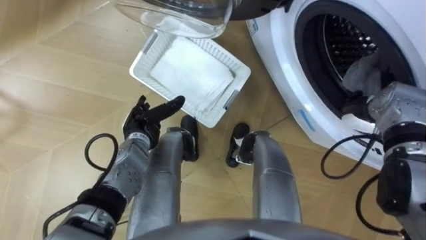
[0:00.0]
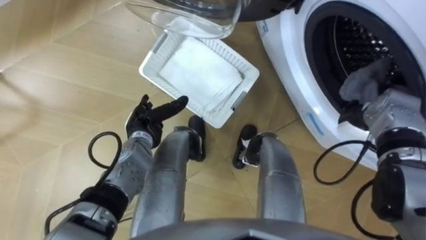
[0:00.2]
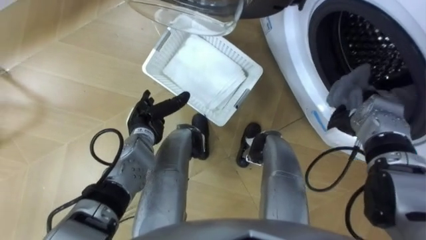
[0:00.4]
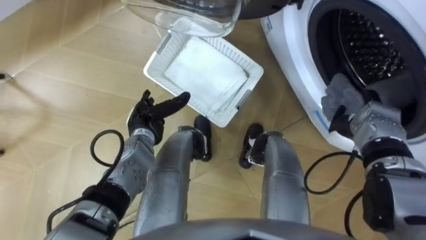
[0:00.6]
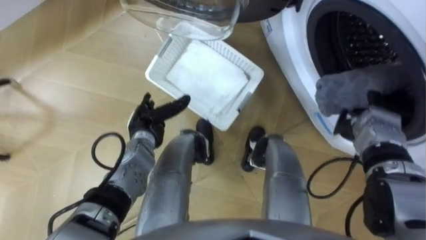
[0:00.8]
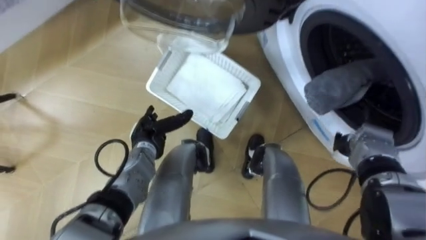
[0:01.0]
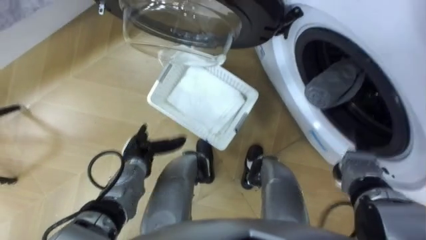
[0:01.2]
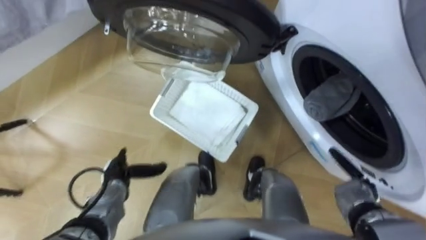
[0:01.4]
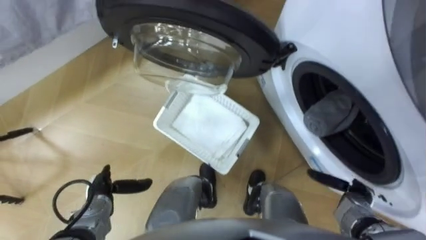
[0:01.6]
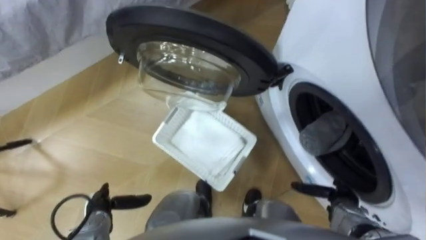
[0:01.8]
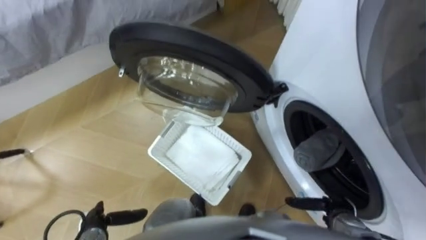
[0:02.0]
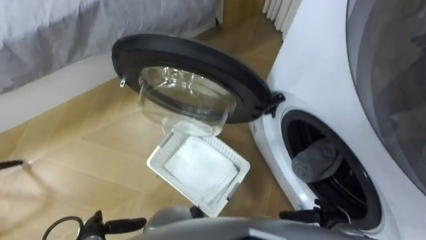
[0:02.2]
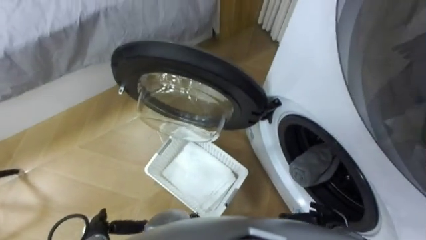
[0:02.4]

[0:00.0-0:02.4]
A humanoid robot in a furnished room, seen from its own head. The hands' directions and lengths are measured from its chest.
Task of the whole recording: Take the towel from the basket and put it into the washing machine.
0:00.0 to 0:01.2: The right hand is displaced backward and downward by about 15 cm, and opens up; the left hand changes place by some 5 cm.
0:01.2 to 0:02.4: The right hand heads backward, downward and to the left, covering approximately 15 cm, while the left hand goes approximately 20 cm backward and to the left.

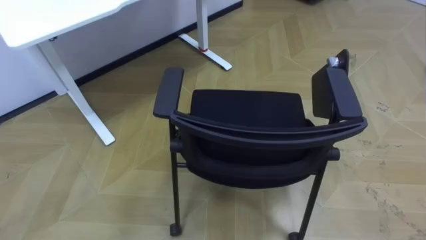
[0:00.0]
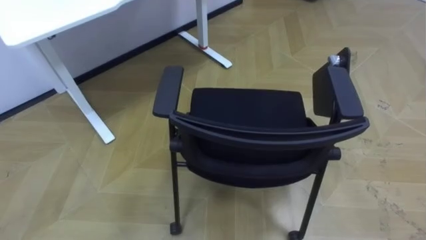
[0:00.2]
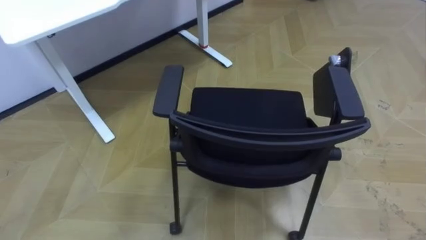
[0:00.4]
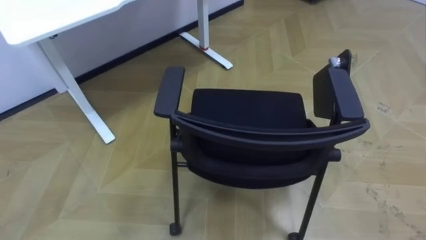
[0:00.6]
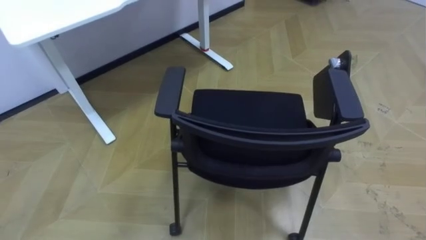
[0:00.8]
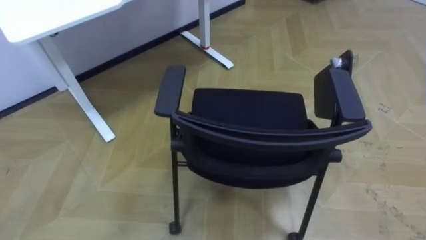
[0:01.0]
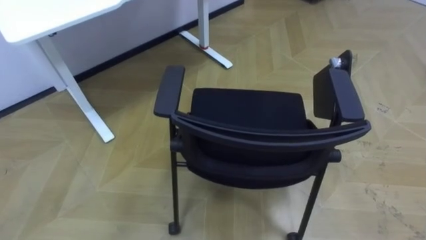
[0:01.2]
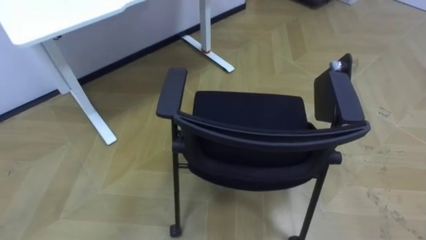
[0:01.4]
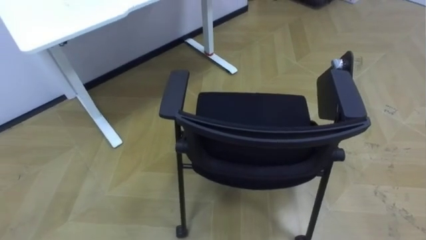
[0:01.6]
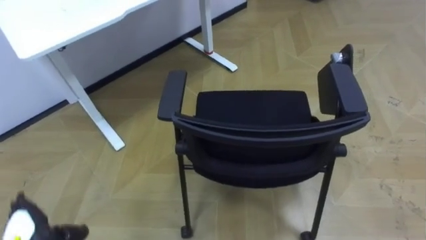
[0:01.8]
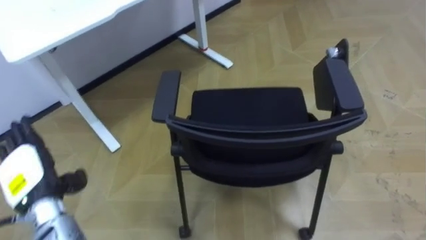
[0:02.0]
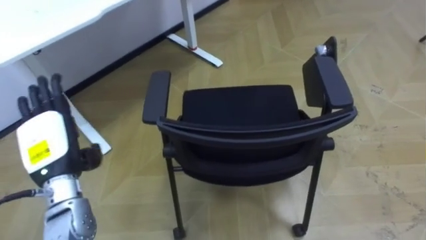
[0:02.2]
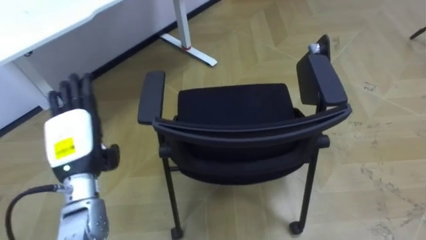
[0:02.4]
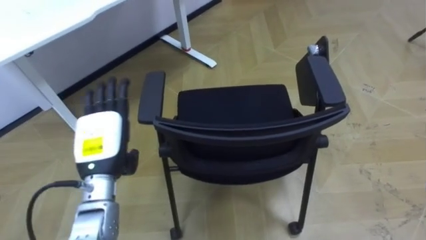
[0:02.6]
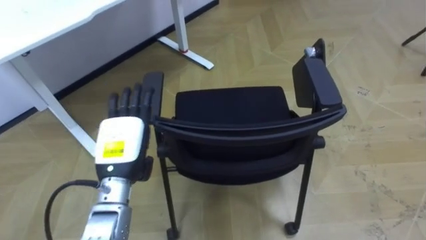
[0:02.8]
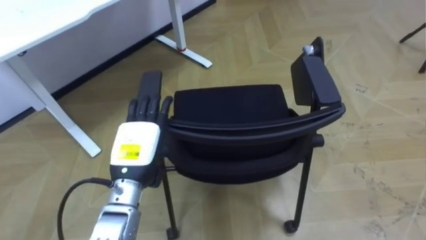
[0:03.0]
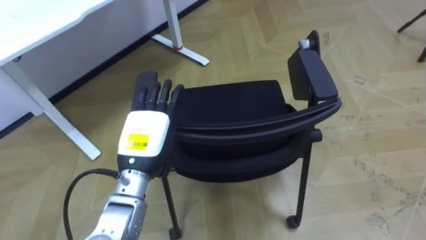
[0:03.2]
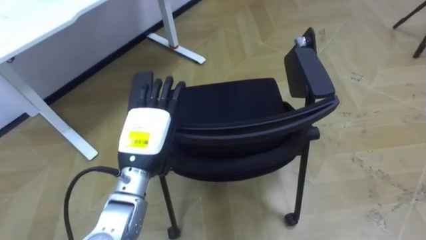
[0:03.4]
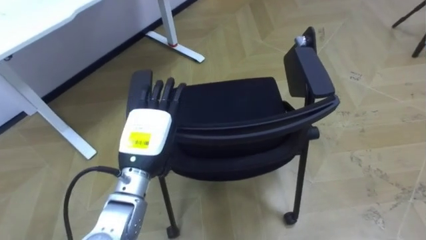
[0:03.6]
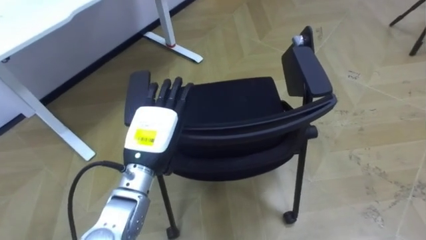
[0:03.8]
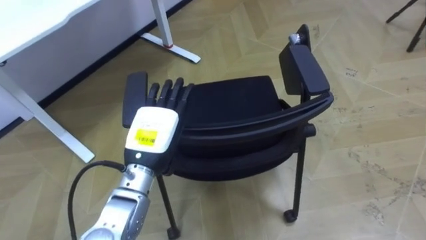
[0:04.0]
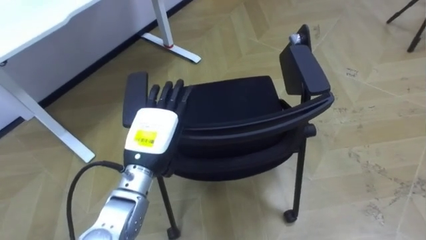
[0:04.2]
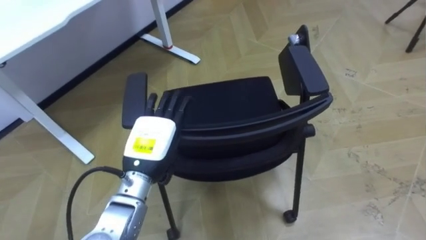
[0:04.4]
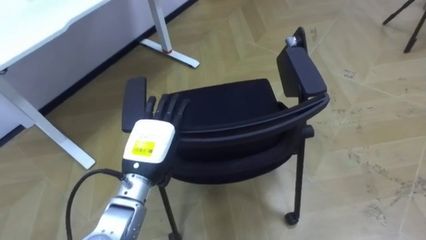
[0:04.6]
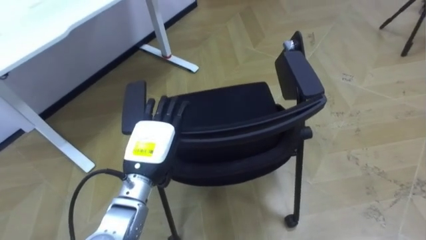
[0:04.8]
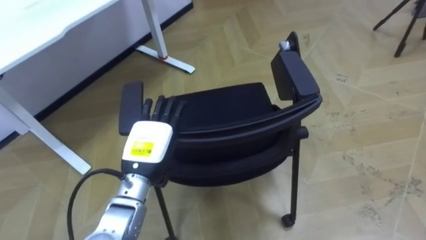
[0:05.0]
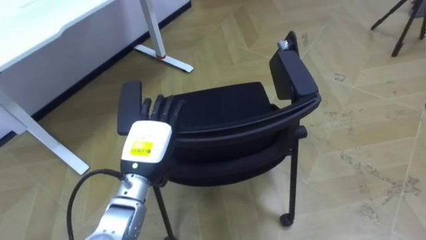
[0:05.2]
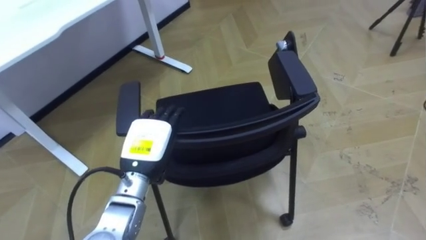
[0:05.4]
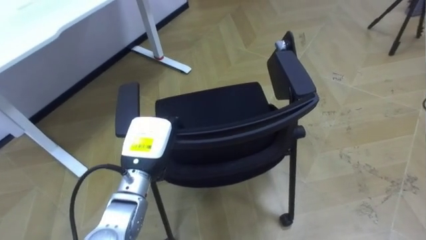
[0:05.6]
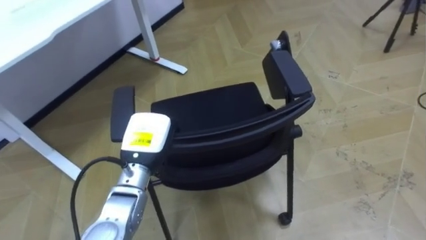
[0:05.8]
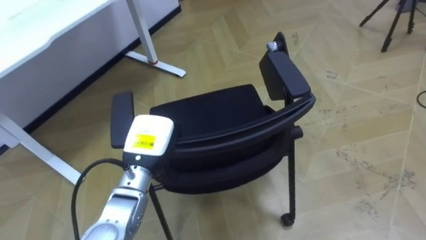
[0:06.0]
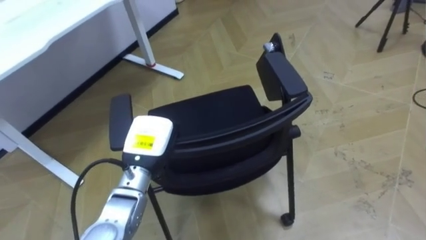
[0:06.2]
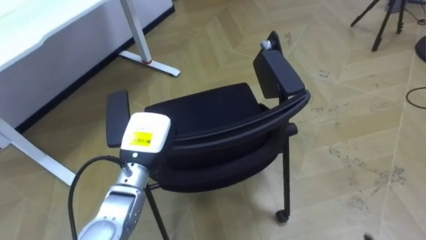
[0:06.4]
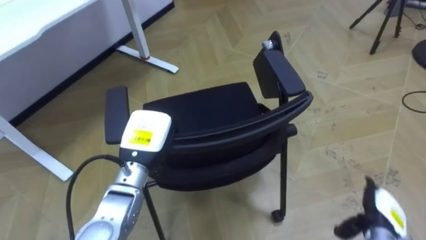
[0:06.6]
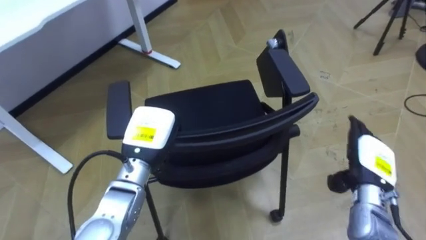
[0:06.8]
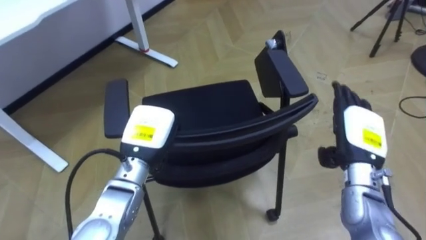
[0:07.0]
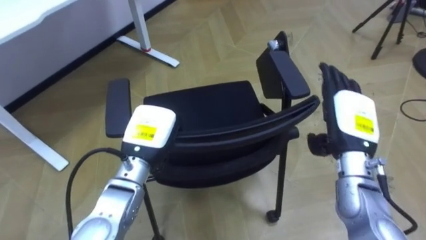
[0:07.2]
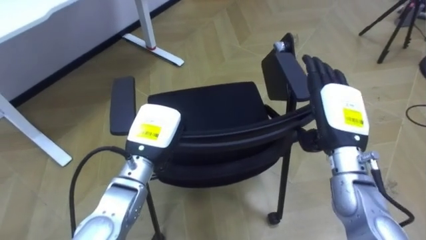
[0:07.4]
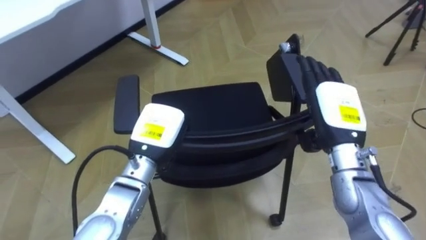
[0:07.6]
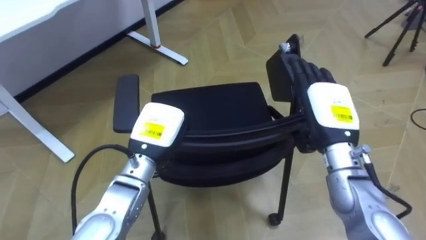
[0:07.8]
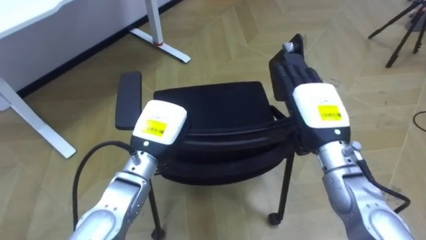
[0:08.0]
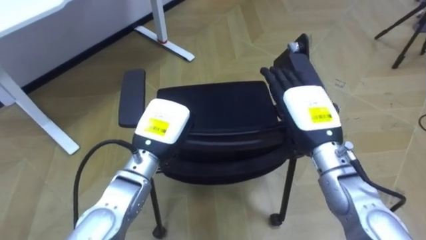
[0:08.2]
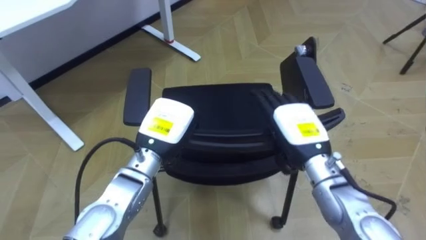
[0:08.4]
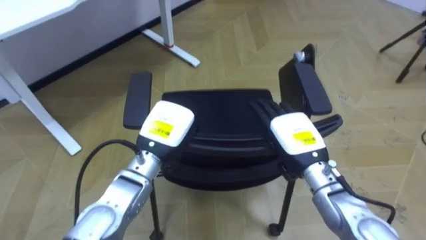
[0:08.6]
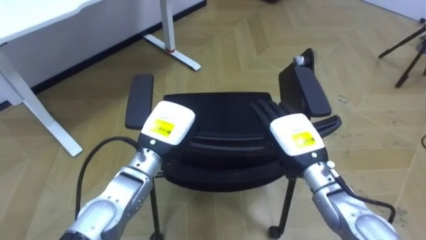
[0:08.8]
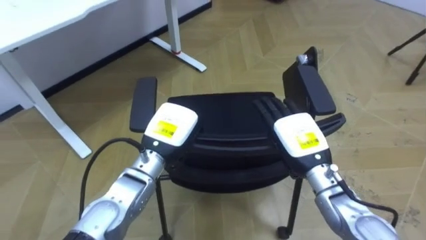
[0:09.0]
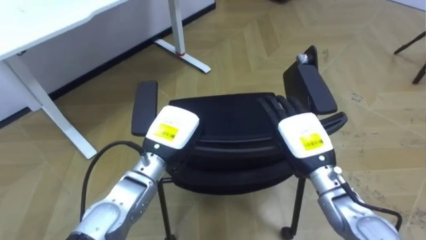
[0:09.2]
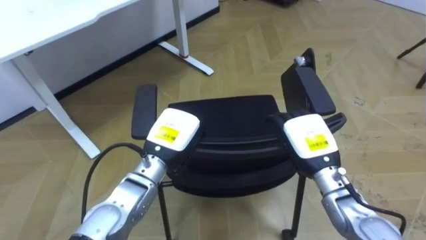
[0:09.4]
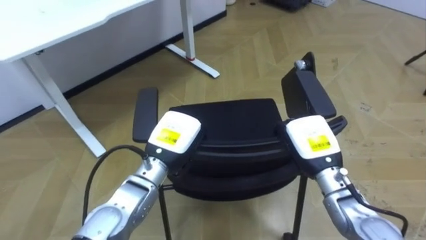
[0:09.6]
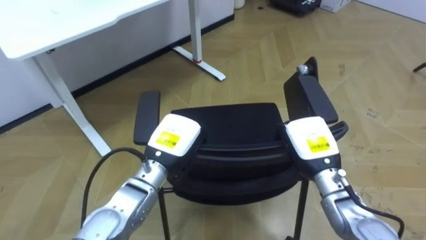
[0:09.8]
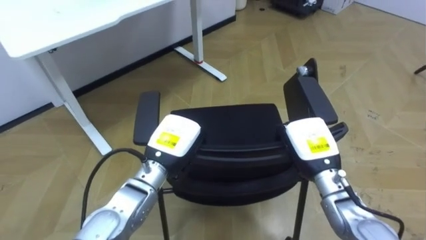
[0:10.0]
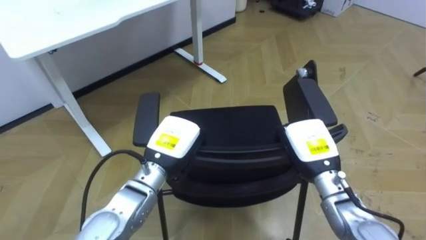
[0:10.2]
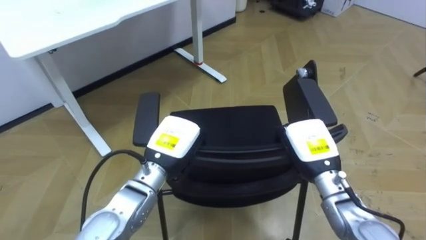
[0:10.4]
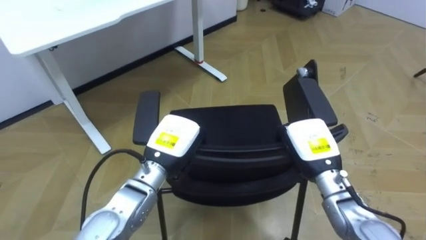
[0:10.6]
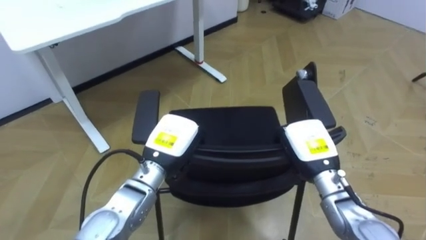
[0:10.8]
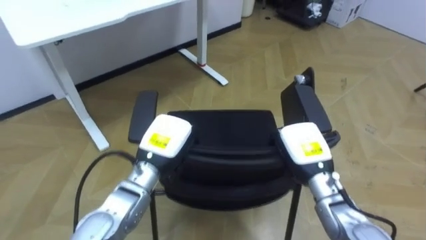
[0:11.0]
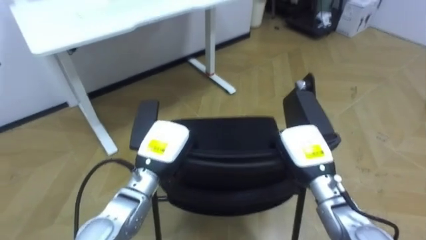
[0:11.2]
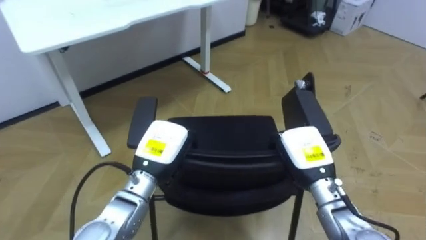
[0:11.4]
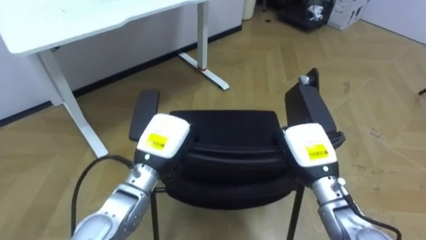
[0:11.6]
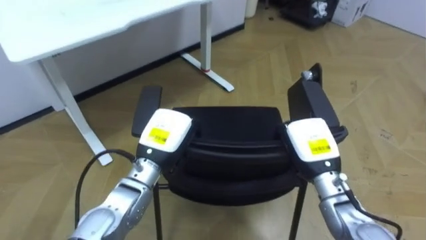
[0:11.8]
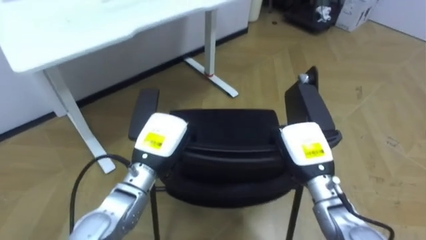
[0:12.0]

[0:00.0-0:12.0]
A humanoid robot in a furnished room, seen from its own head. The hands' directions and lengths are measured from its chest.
Task of the whole recording: Push the chair under the table.
0:04.4 to 0:06.0: The left hand closes its fingers.
0:07.6 to 0:09.0: The right hand goes approximately 10 cm downward.
0:09.0 to 0:10.4: The right hand closes.

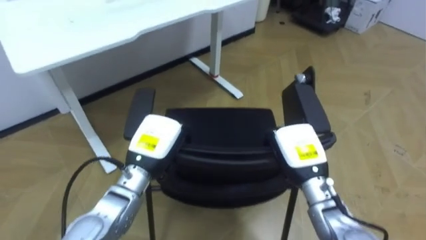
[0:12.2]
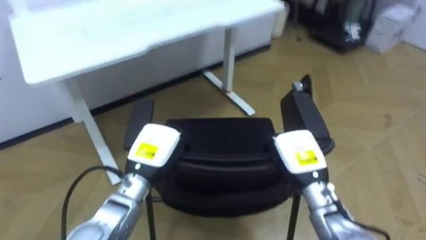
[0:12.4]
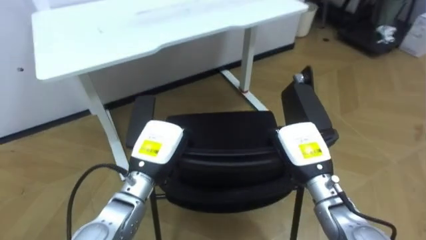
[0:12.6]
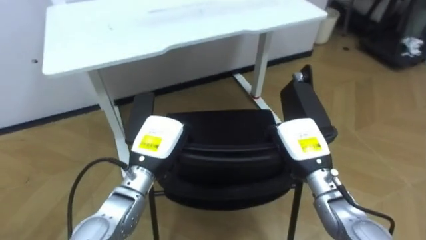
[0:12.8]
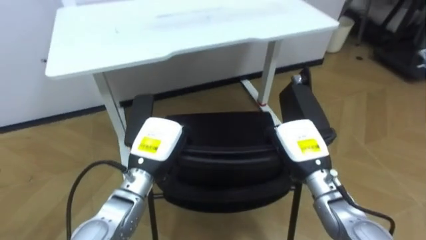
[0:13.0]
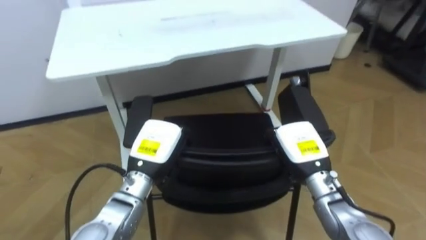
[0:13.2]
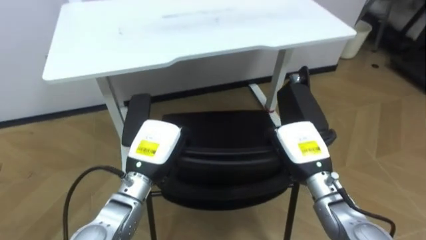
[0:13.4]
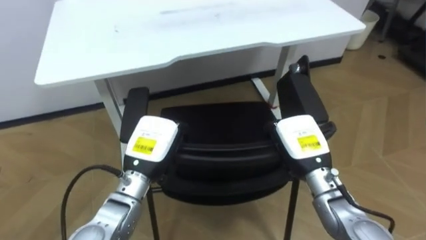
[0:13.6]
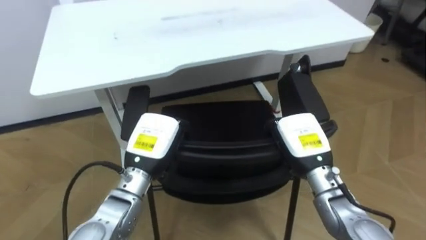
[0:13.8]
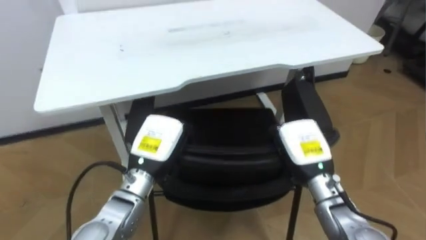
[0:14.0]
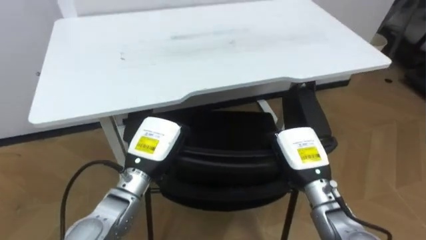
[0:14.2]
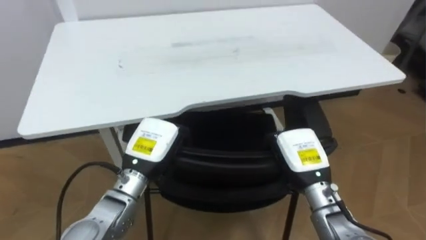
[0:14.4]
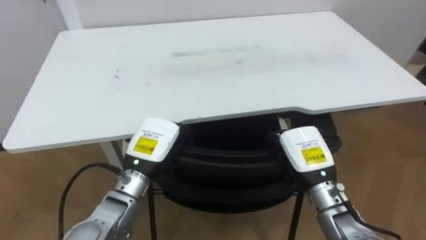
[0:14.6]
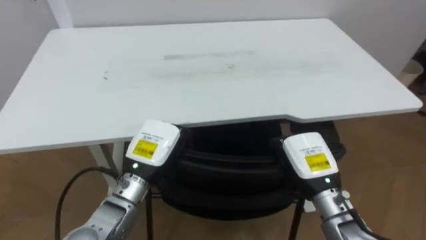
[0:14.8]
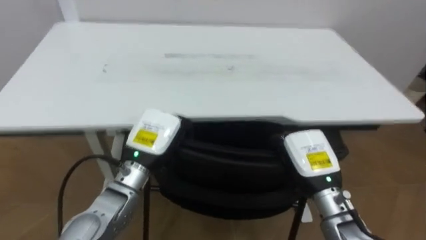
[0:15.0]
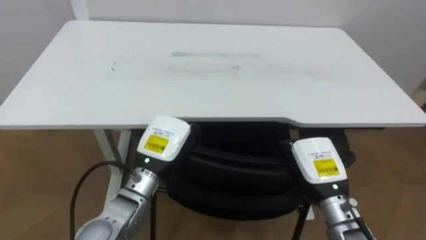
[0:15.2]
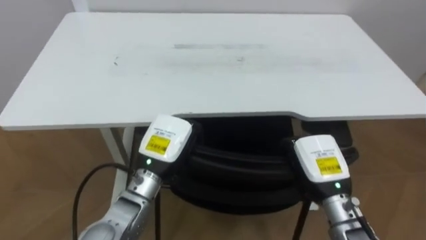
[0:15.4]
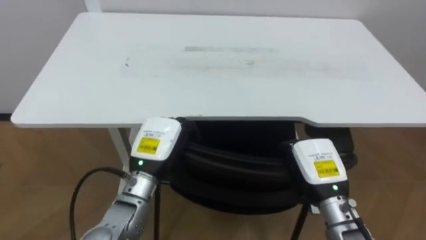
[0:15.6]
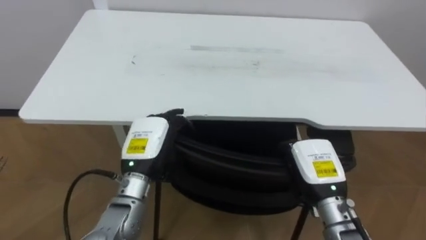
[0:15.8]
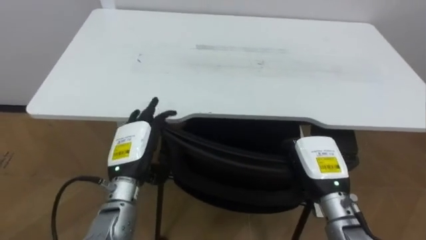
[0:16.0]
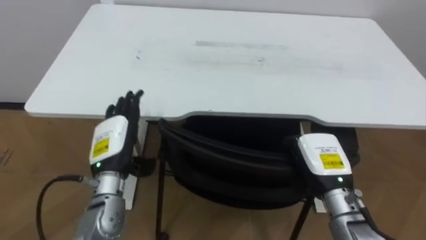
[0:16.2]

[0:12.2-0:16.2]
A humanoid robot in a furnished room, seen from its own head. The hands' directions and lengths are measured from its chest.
Task of the whole recording: Push the chair under the table.
0:12.2 to 0:13.6: The robot faces about 20 degrees further to its left.
0:14.8 to 0:16.2: The left hand shifts about 5 cm to the left, and opens its fingers.
